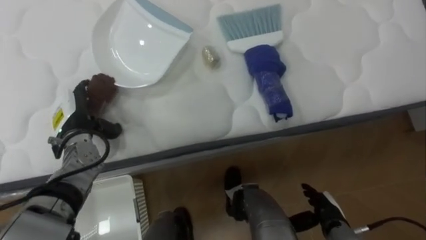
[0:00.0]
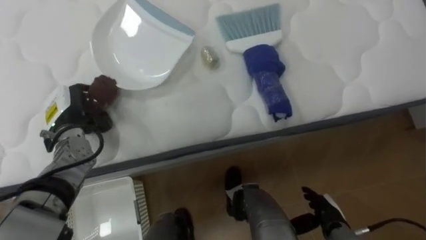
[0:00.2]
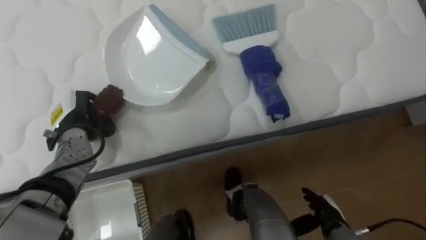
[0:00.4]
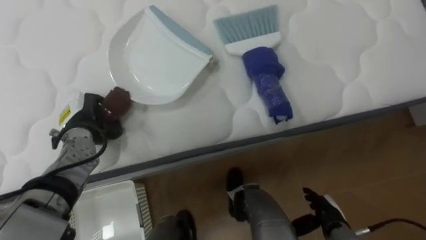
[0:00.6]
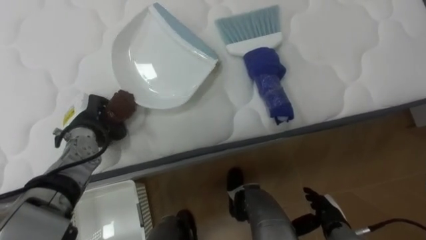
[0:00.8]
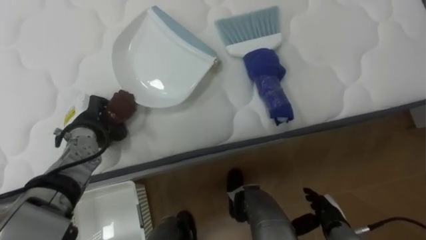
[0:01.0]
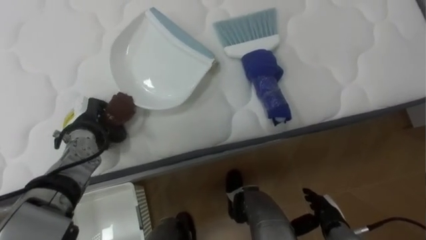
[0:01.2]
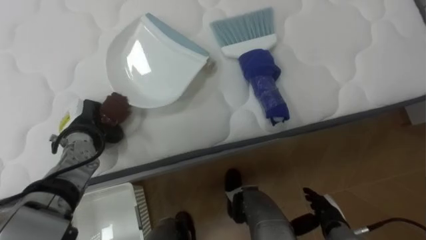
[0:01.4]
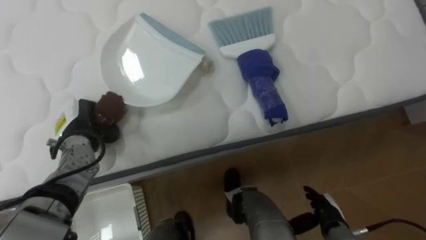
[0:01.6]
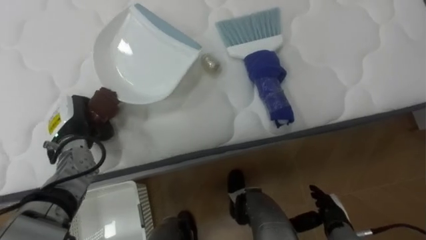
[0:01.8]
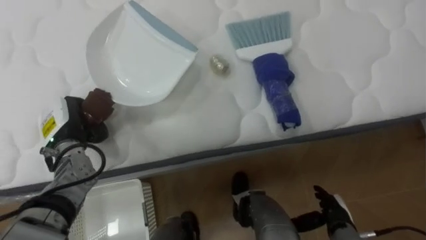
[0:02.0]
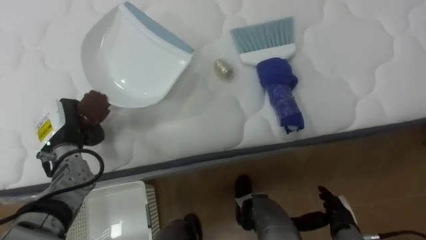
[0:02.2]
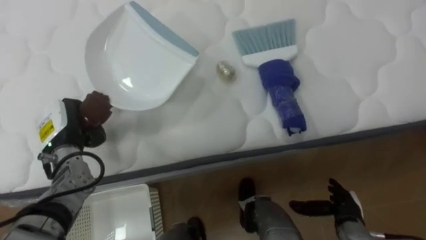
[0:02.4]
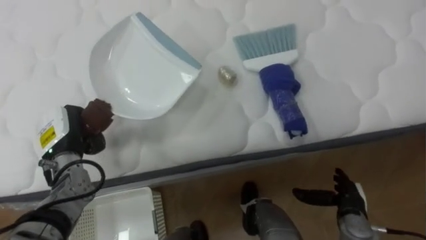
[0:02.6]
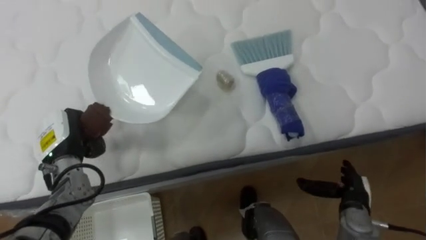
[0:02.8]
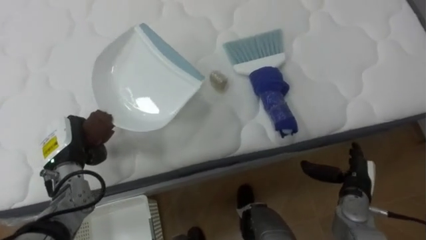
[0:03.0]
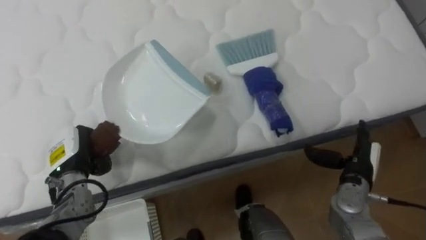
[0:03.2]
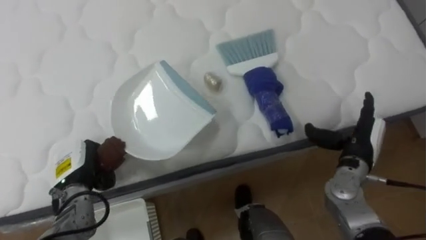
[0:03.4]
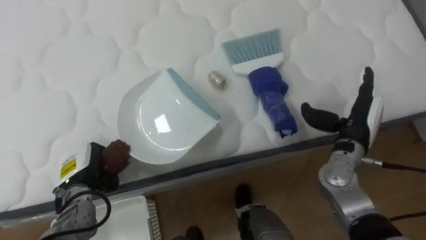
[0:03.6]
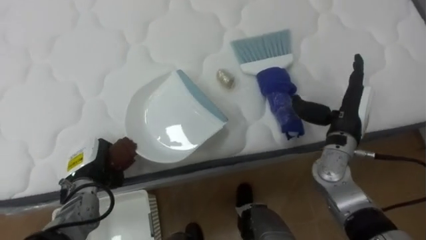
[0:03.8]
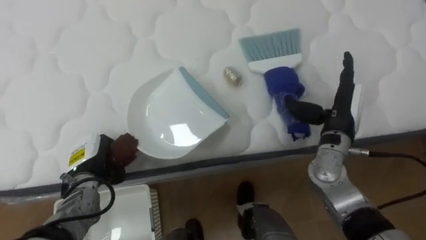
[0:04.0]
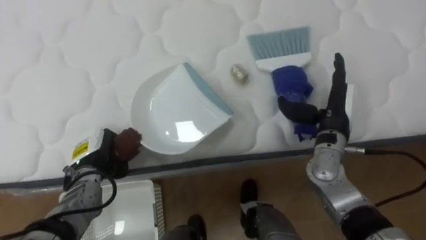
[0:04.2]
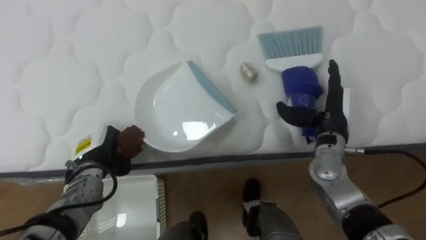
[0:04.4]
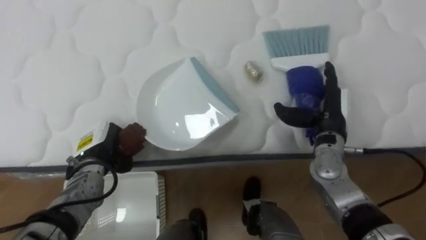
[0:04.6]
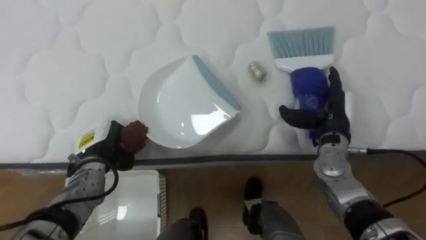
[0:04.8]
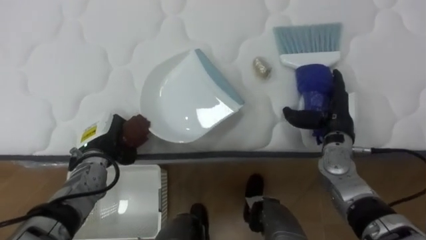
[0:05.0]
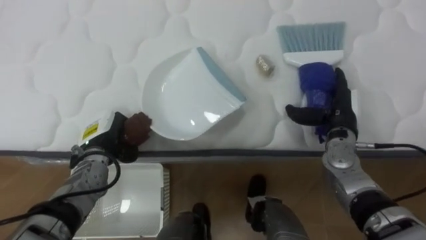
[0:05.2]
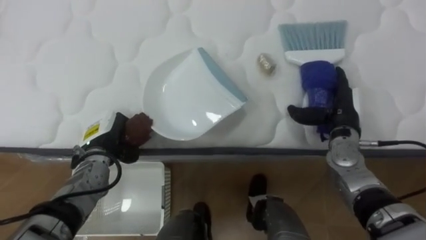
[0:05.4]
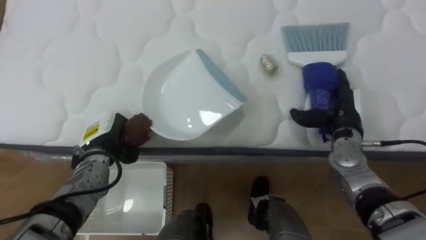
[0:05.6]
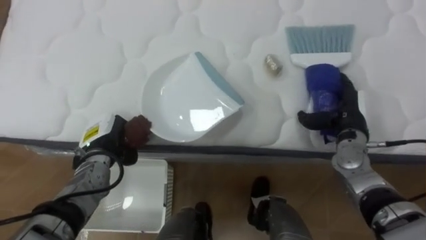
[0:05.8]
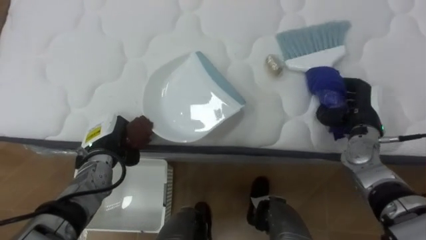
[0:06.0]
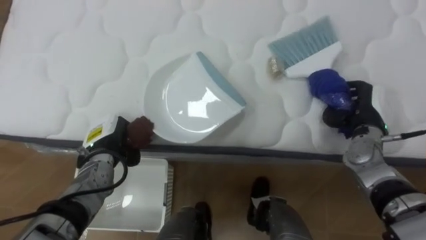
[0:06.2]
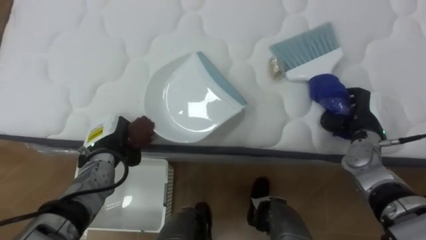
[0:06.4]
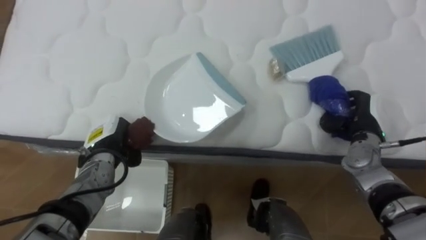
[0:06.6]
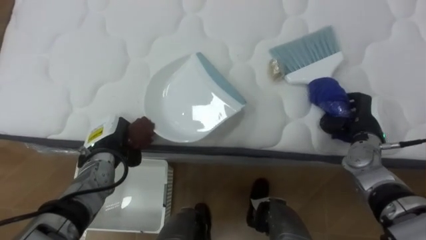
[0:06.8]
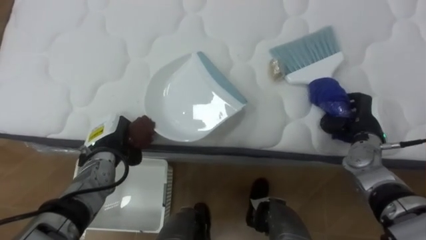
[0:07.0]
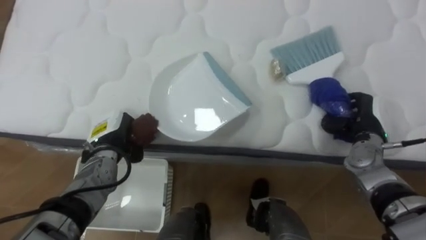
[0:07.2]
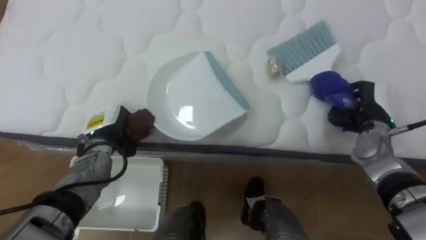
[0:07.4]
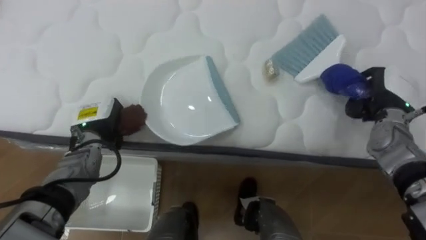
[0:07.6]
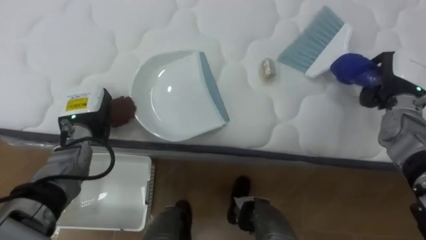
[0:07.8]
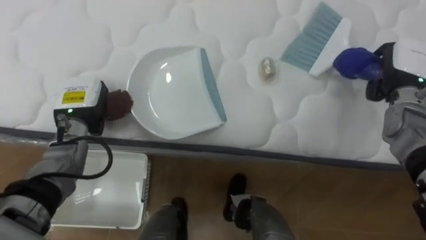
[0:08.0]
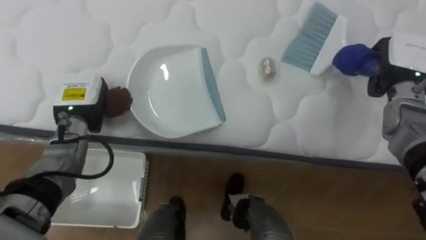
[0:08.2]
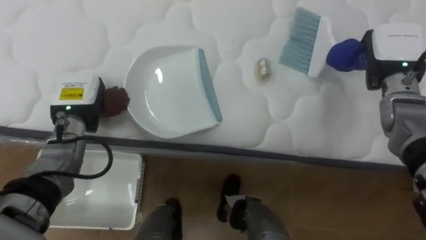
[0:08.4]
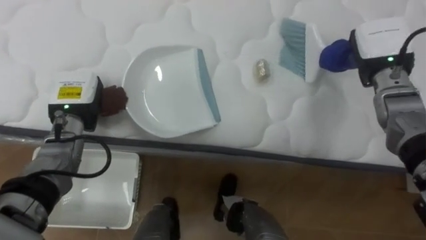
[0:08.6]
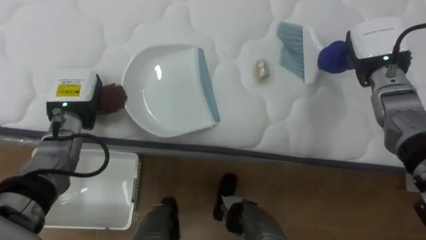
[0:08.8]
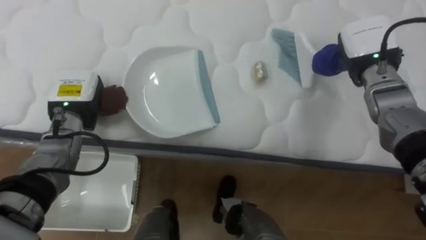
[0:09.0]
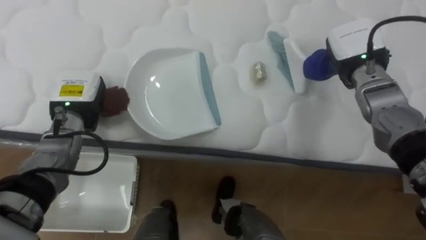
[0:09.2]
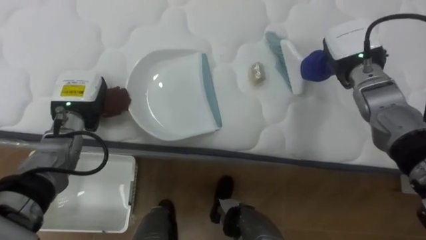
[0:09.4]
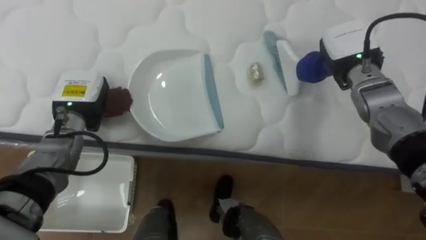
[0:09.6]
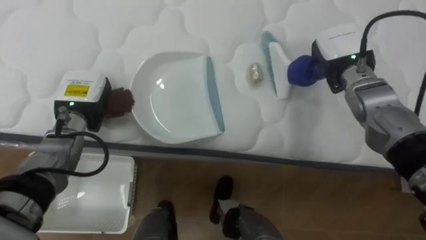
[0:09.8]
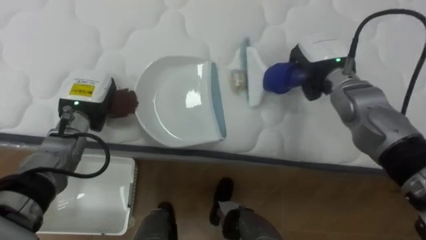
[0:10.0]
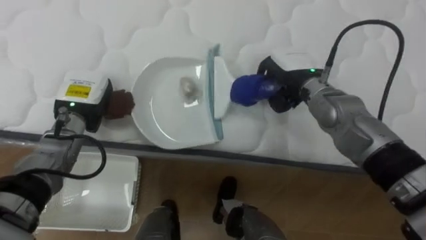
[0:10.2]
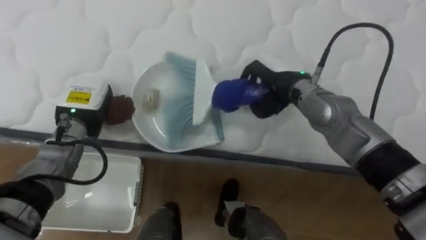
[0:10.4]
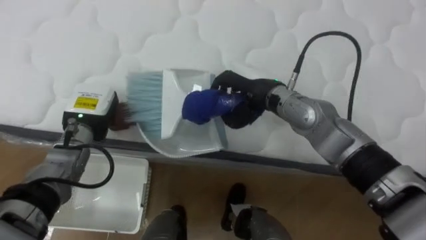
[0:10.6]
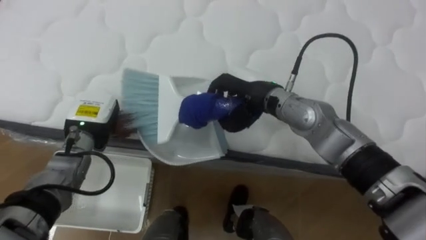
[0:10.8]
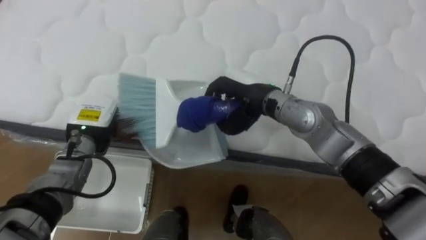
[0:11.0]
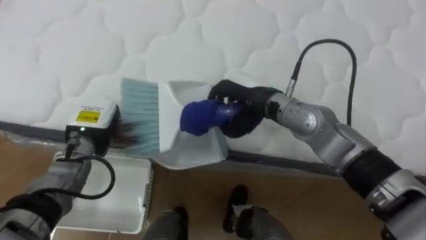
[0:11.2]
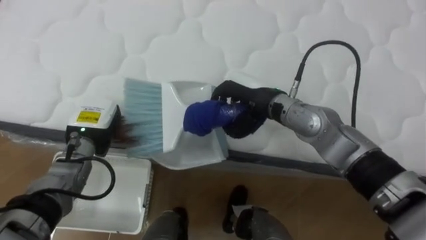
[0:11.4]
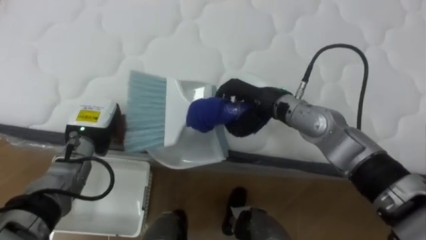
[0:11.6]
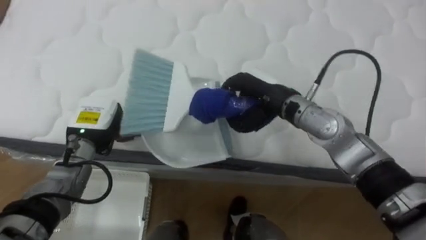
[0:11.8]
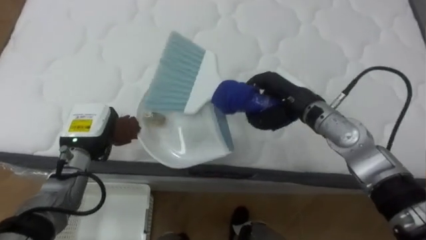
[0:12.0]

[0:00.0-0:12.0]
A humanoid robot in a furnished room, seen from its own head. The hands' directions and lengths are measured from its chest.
Task of the whole recording: Pick up the brush on your right and the dustpan on your left. Use the brush to sweep the crumpled paper on the bed into the dustpan, then turn left and empty it into the basket.
0:00.0 to 0:01.6: The left hand closes its fingers.
0:01.6 to 0:03.0: The right hand heads upward, forward and to the right, covering roughly 10 cm.
0:03.0 to 0:04.4: The right hand travels upward, forward and to the left by about 15 cm. Meanwhile the left hand changes place by approximately 5 cm.
0:04.4 to 0:06.0: The right hand goes about 5 cm to the right.
0:06.0 to 0:07.6: The right hand ends up about 5 cm from where it was, and closes.
0:07.6 to 0:09.0: The right hand moves upward and to the left, about 10 cm. The left hand shifts roughly 5 cm upward.
0:09.0 to 0:10.4: The right hand travels to the left by roughly 15 cm.
0:10.4 to 0:12.0: The left hand shifts by approximately 5 cm. Meanwhile the right hand moves approximately 5 cm to the left and comes back.

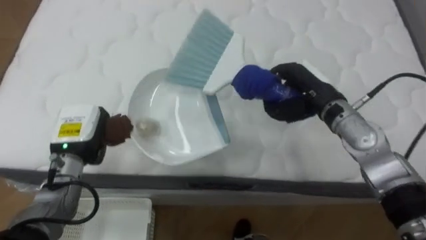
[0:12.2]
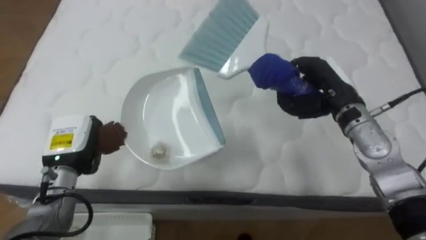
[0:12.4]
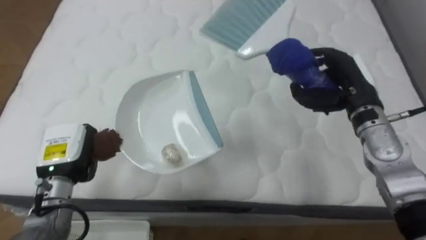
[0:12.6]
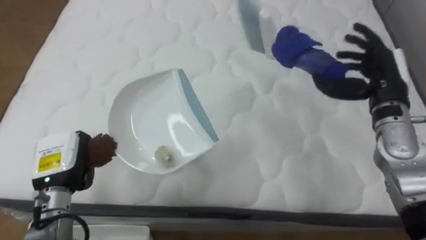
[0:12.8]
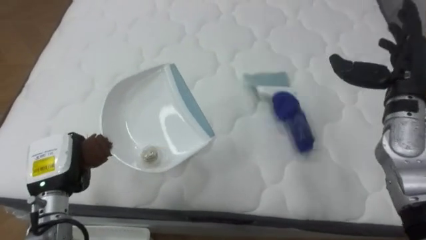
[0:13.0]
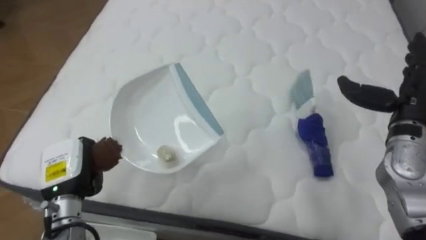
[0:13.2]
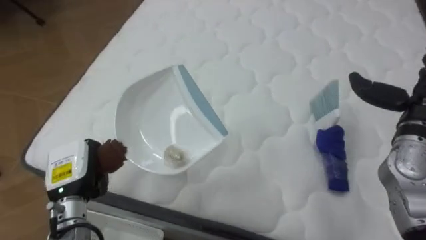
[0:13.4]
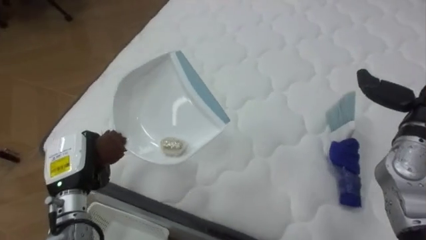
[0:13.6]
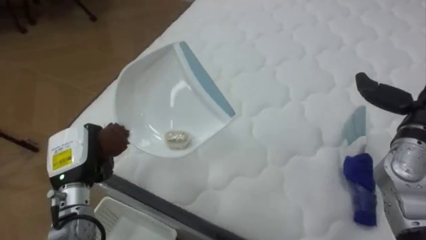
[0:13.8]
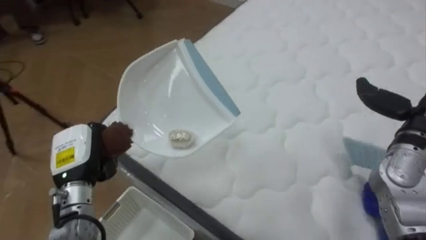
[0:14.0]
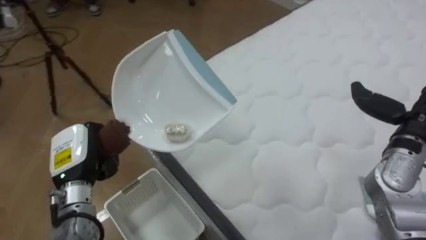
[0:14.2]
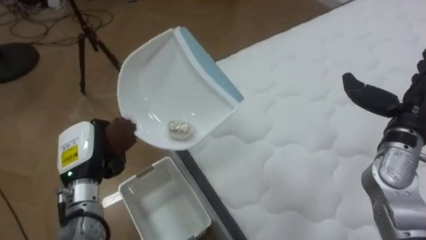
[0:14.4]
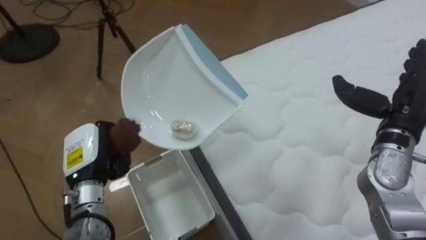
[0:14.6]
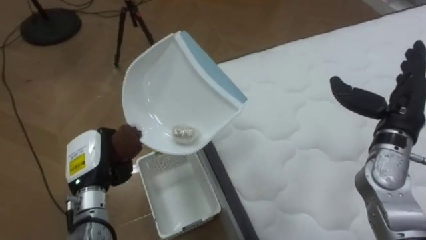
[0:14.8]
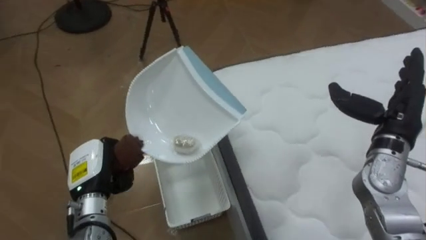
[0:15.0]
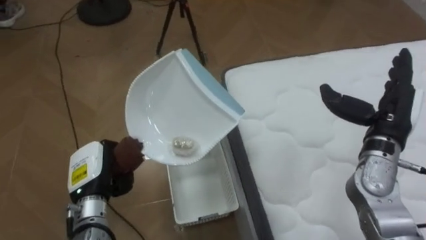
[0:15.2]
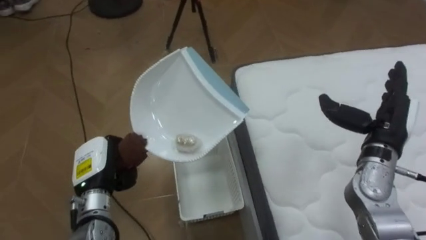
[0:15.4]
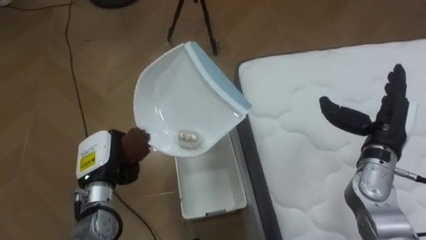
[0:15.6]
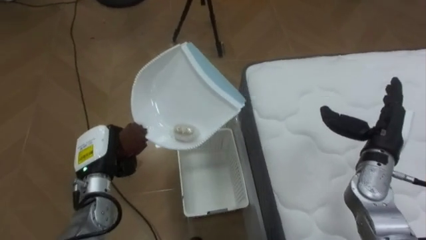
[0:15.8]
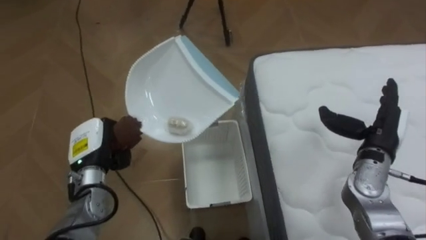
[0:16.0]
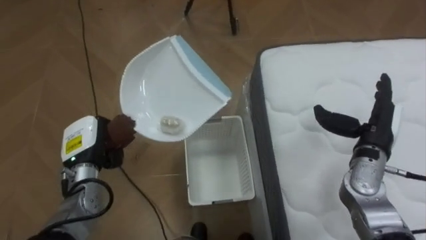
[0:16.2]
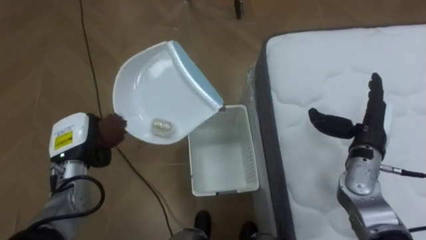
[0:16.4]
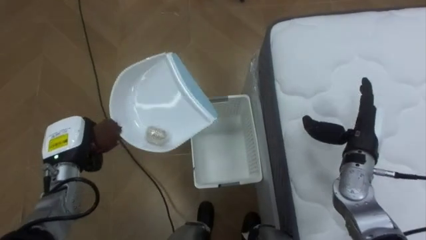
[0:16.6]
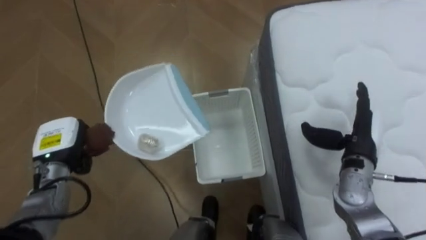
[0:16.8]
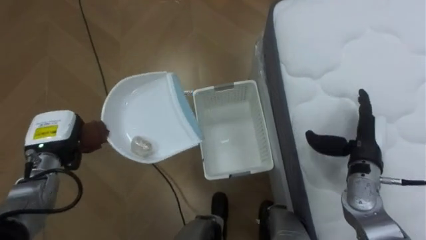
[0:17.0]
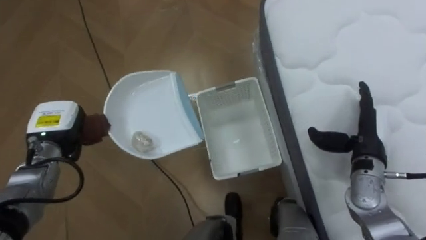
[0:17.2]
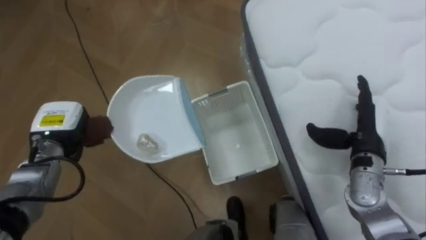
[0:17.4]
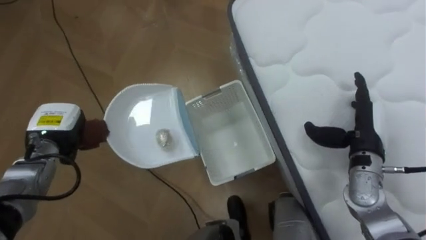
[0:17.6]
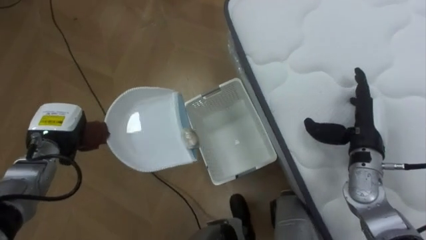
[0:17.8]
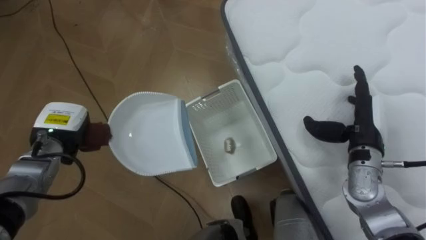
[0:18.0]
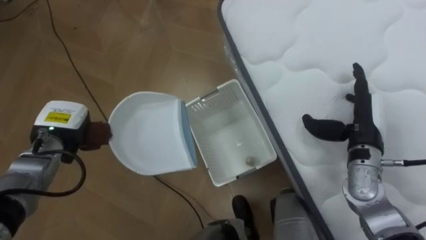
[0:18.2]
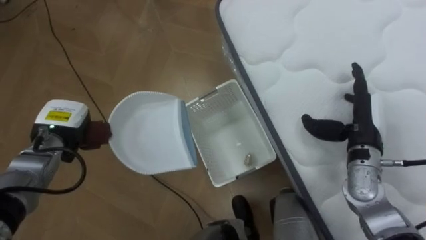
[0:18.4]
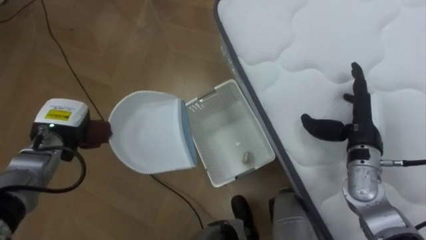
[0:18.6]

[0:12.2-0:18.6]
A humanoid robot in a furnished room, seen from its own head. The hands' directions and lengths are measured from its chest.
Task of the whole recording: Pick up the brush on your right and the dustpan on your left. Use the brush to sweep the crumpled paper on the bed into the dustpan, then turn left and empty it into the basket.
0:12.2 to 0:13.8: The robot turns to its left by roughly 25 degrees. The left hand goes roughly 5 cm backward.
0:13.8 to 0:15.4: The robot turns to its left by approximately 55 degrees. The right hand shifts about 5 cm to the left.
0:15.4 to 0:17.0: The left hand is displaced to the left and forward by about 10 cm. The right hand goes approximately 5 cm downward.
